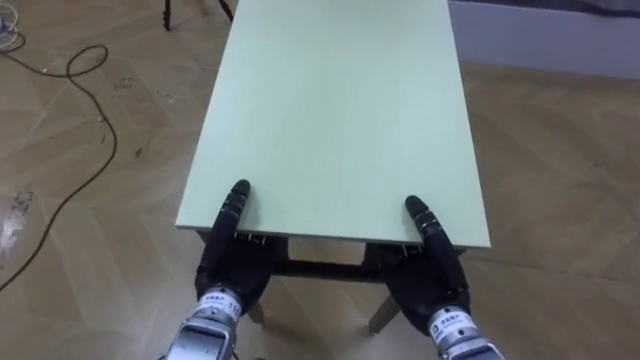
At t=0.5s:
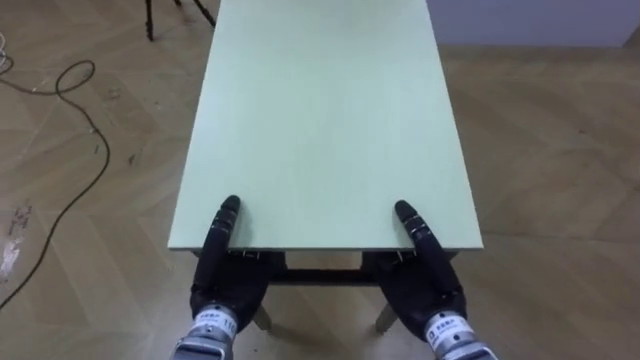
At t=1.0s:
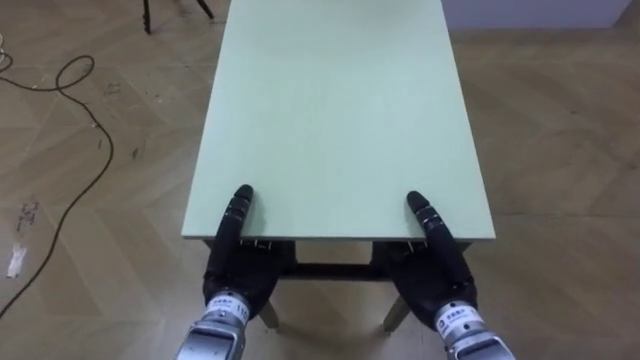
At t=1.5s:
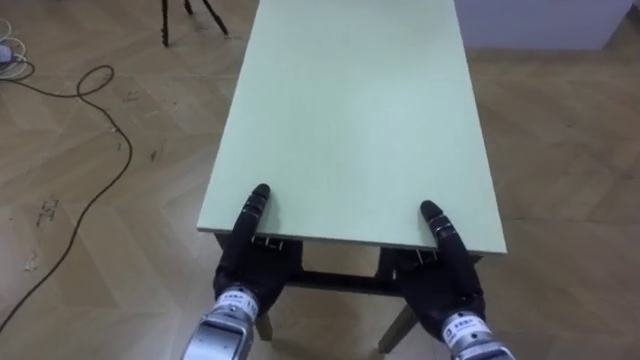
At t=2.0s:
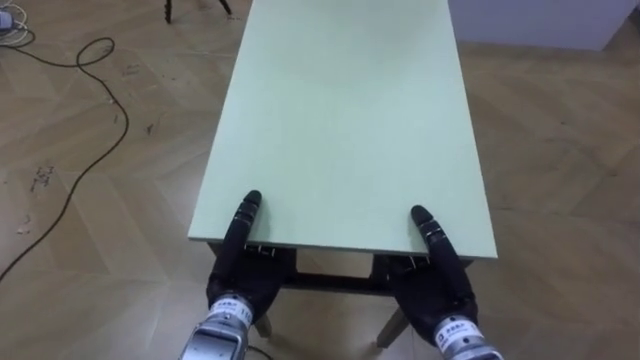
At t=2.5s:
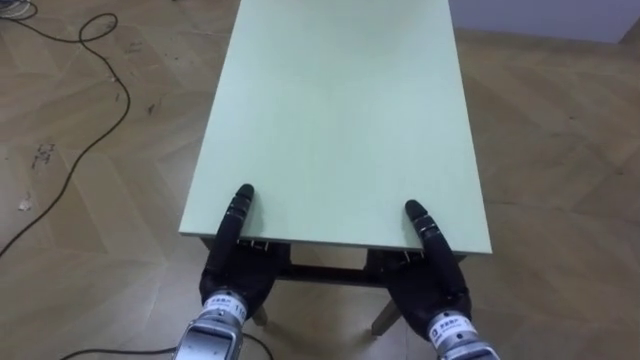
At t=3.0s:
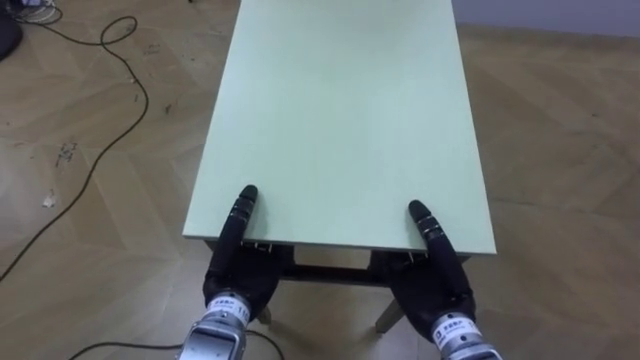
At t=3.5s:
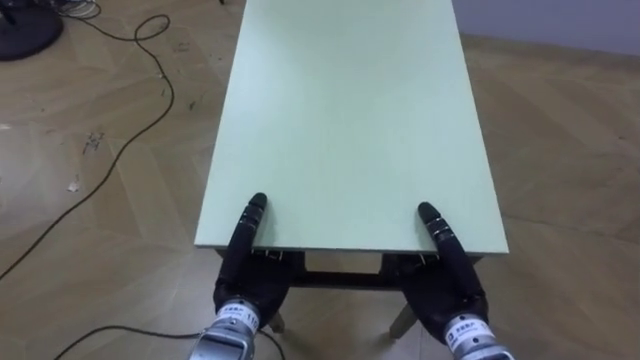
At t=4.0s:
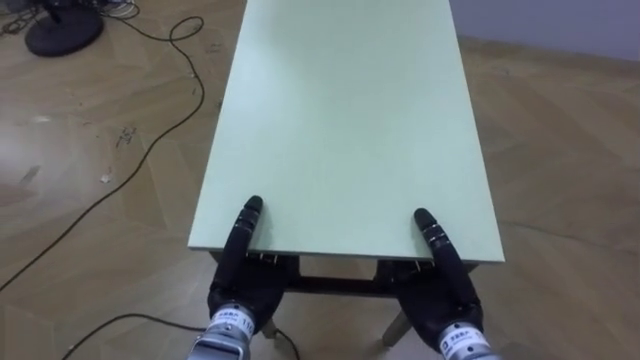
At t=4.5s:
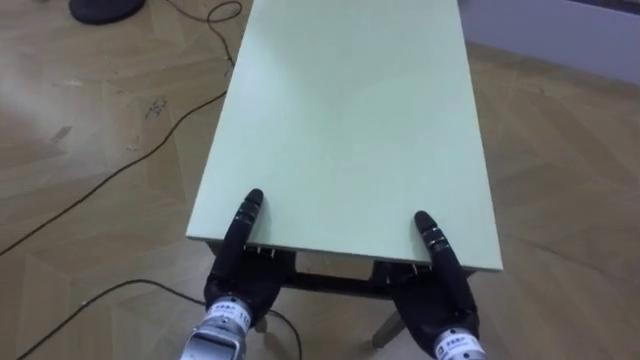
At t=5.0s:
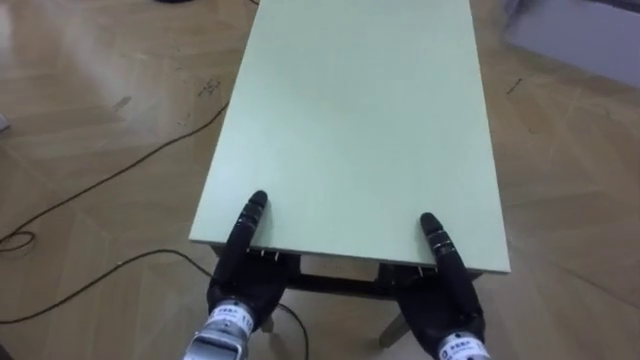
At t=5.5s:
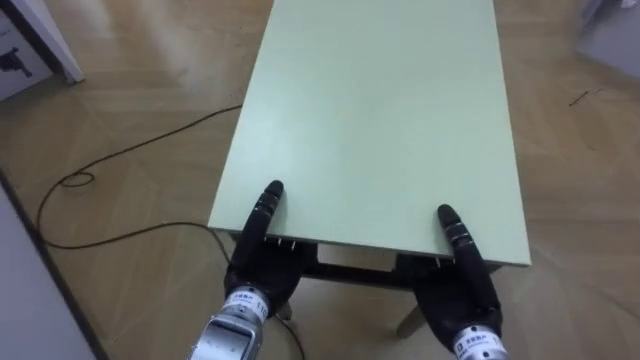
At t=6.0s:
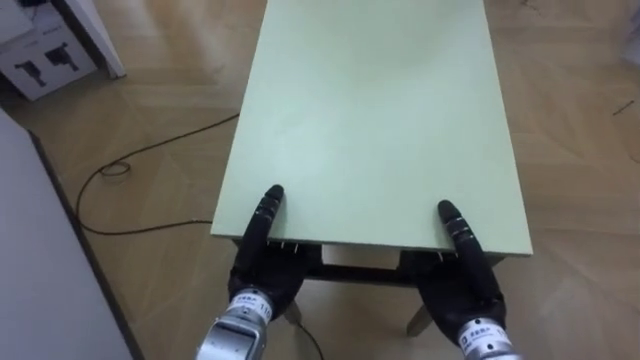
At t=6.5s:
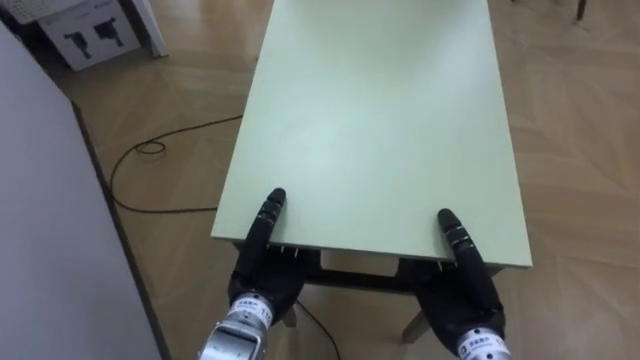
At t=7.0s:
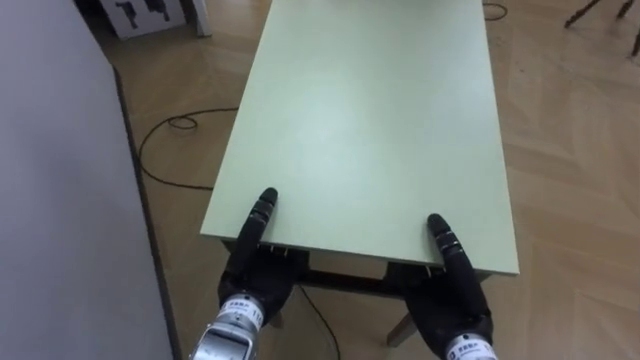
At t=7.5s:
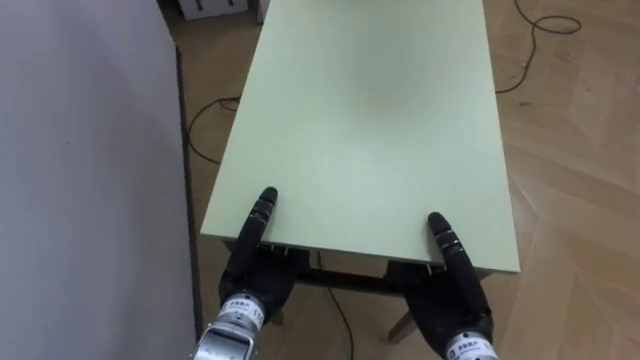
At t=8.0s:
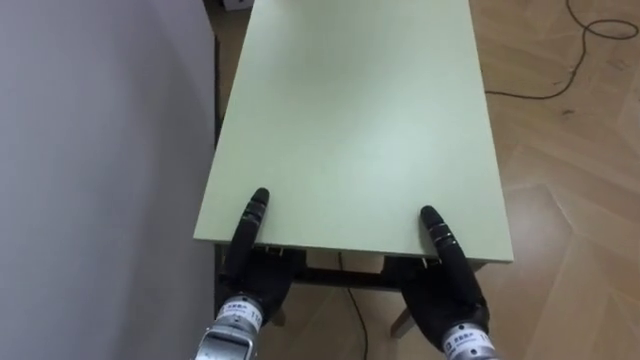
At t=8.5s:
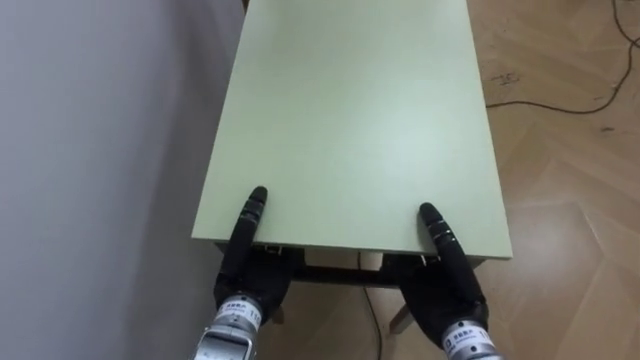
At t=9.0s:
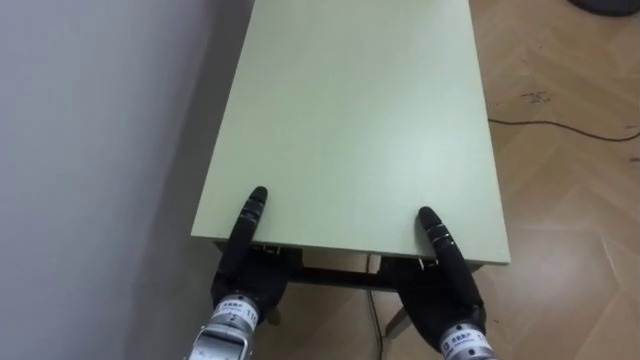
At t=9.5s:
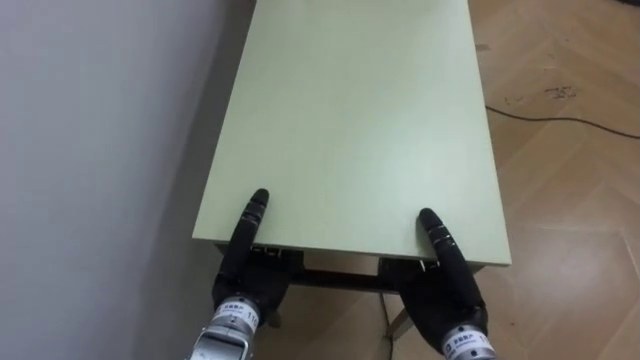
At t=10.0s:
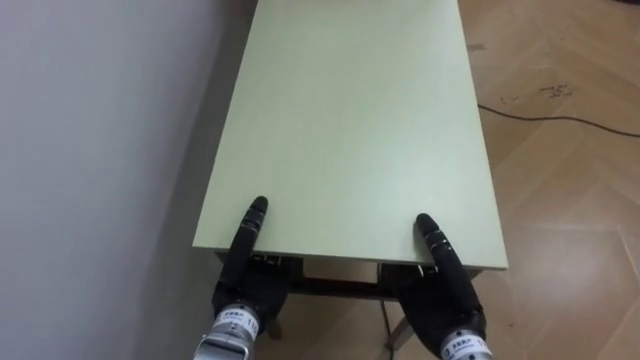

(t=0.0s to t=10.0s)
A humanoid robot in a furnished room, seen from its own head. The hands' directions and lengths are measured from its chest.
Task of the whole recording: Move the table to the back left with someone.
t=4.0s - t=6.0s: The robot faces some 40 degrees further to its left.
t=6.0s - t=8.0s: The robot rotates about 25 degrees to its left.

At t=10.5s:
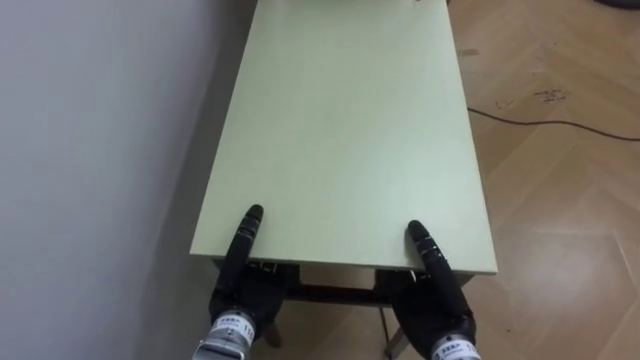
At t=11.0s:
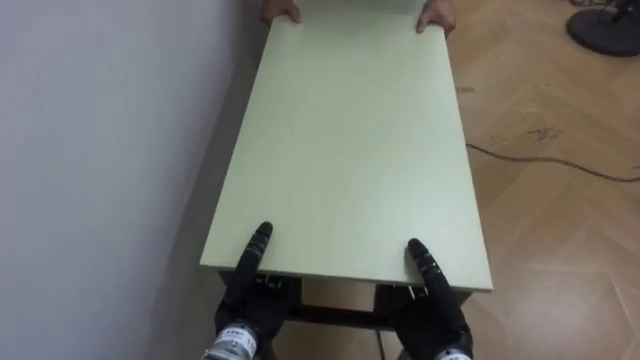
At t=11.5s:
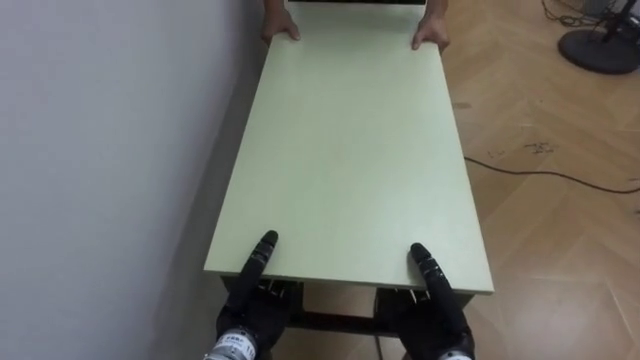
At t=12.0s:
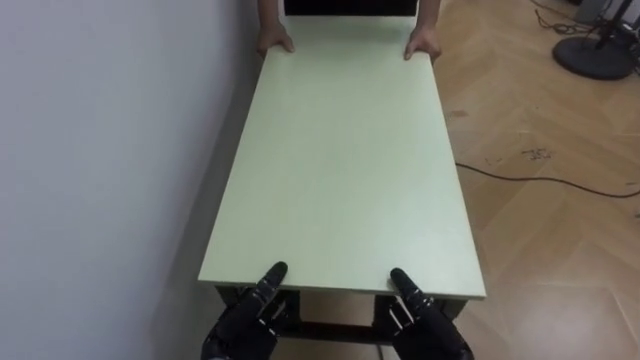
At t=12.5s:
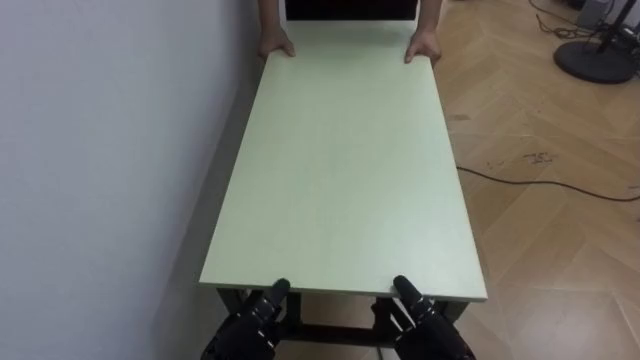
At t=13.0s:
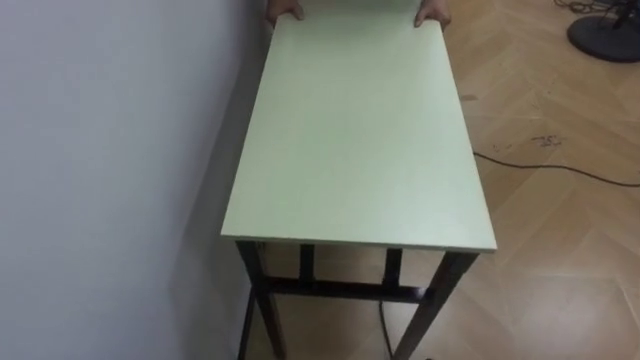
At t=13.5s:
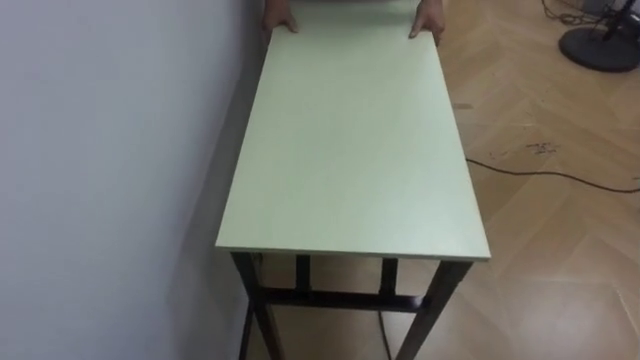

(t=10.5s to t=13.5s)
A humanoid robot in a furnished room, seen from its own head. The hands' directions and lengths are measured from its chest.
Task of the whole recording: Move the table to the back left with someone.
t=10.5s - t=12.0s: The two hands go some 5 cm downward. The right hand opens its fingers.

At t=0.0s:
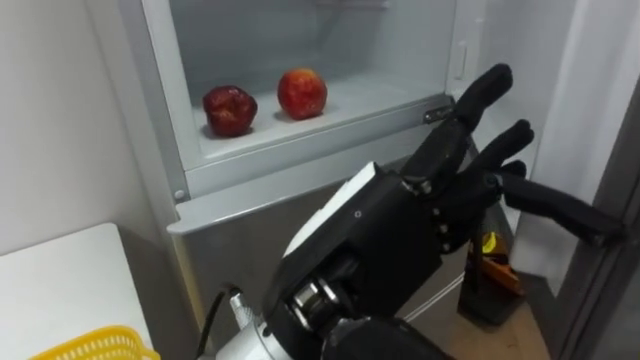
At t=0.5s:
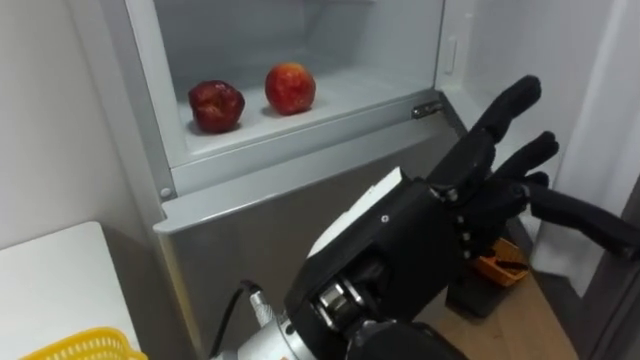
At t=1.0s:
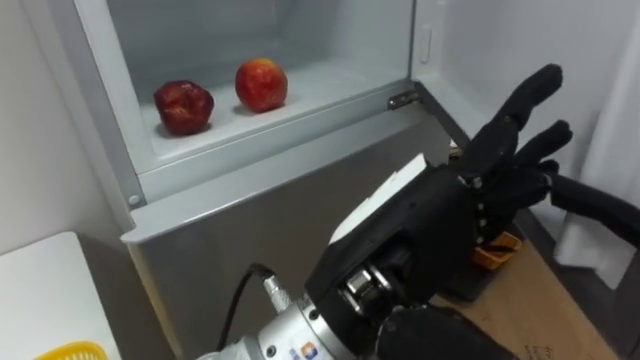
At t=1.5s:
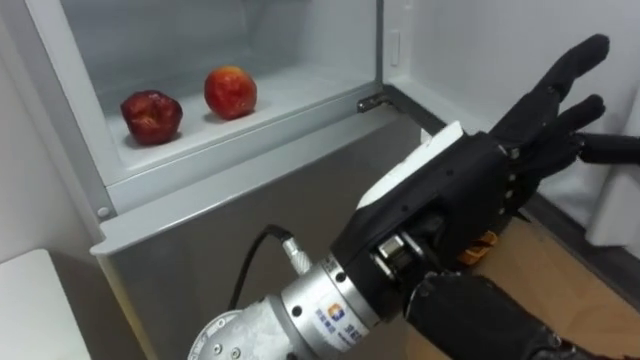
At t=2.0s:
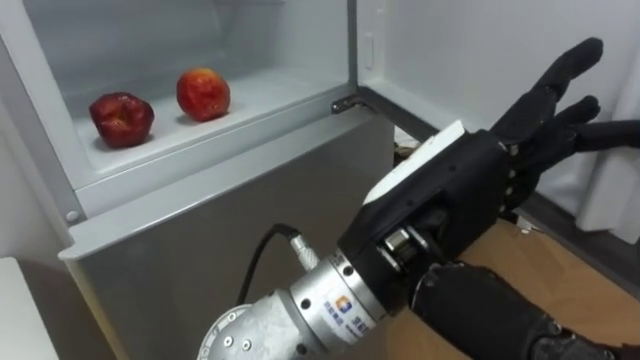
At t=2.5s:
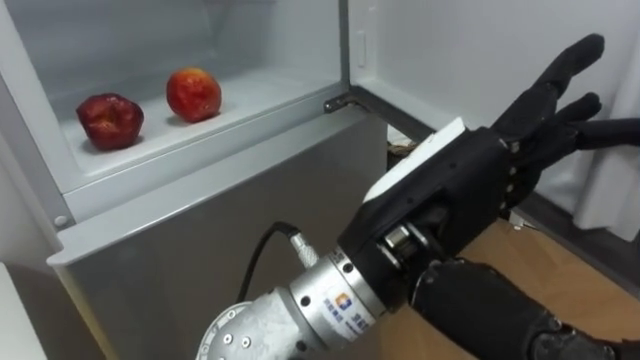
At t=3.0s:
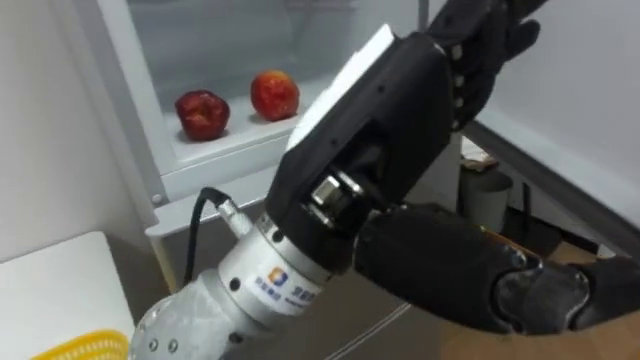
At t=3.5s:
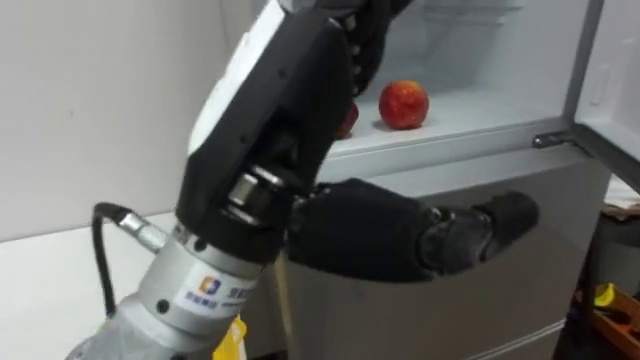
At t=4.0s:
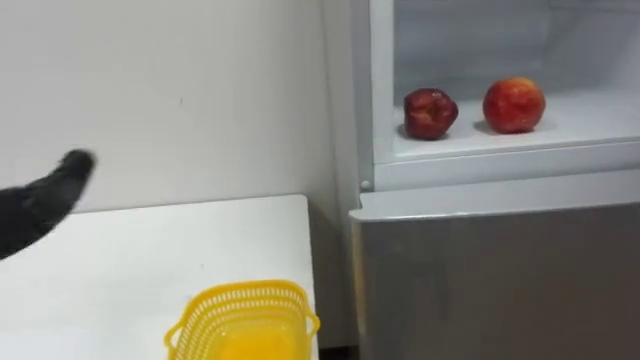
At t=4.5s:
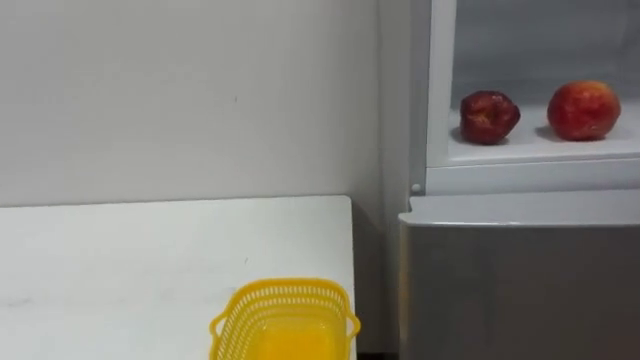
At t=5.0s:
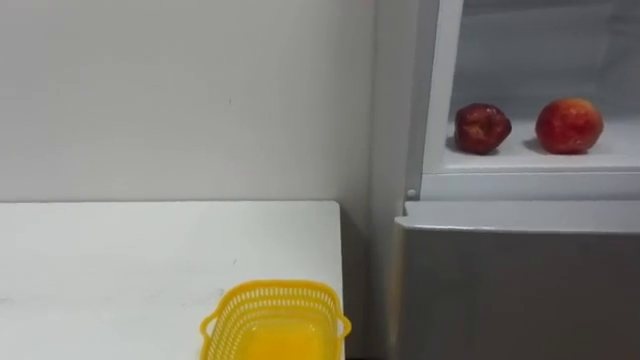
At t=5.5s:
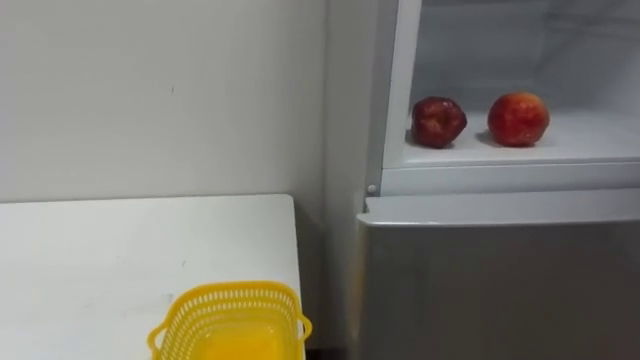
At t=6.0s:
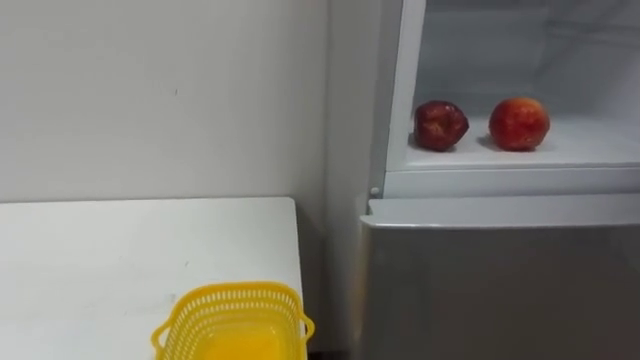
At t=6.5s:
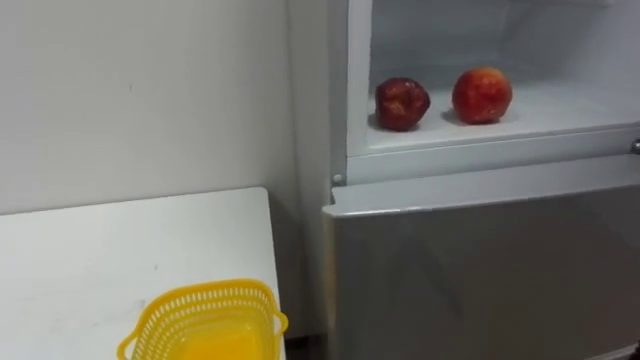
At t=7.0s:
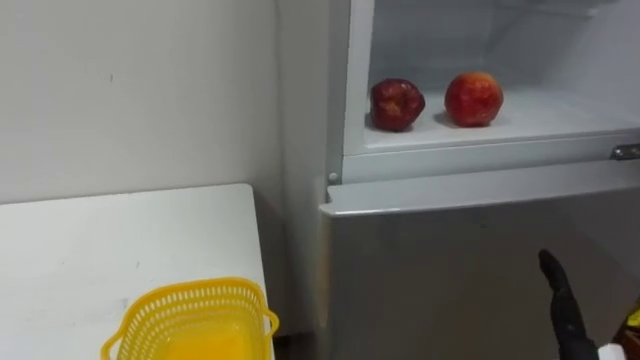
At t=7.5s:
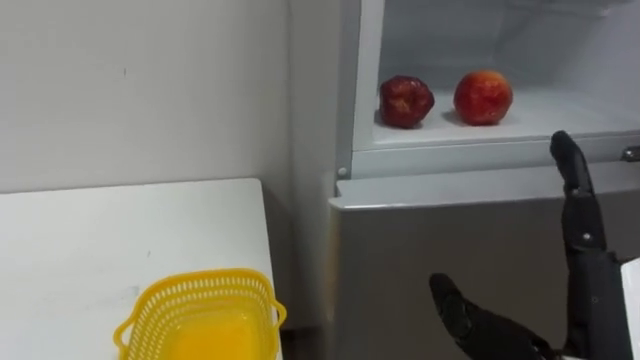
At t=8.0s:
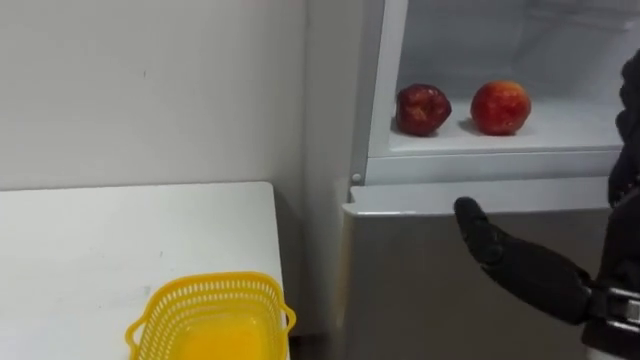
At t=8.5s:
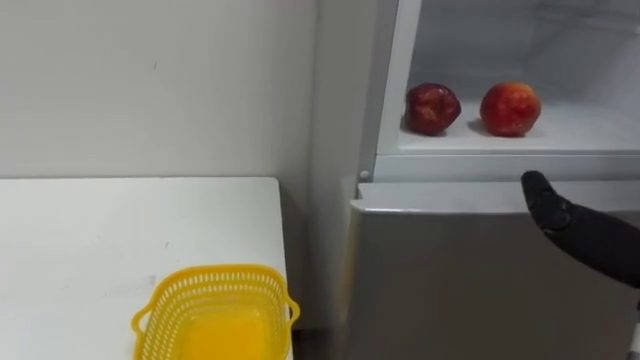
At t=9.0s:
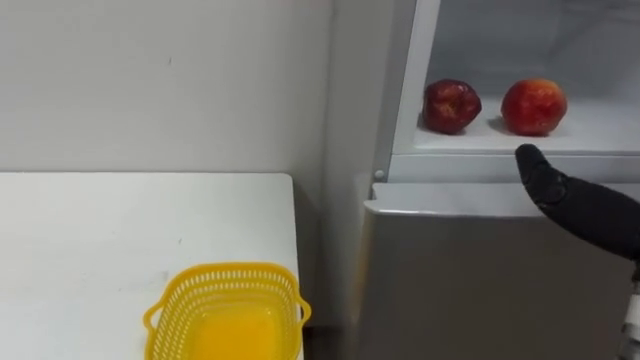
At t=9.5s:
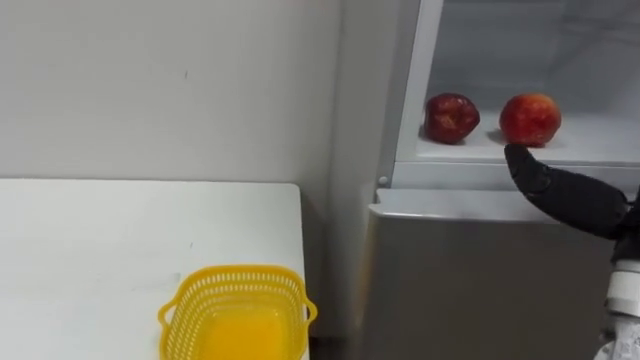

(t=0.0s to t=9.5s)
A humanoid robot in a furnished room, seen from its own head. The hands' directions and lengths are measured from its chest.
Task of the whole recording: Open the refrigerator door, take out the apple and the pomegranate, place them in the fruit basket on the left, and close the refrigerator door.
t=0.0s - t=2.0s: The left hand ends up some 5 cm from where it was.
